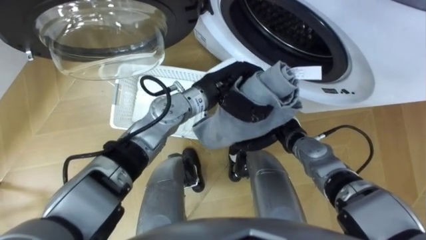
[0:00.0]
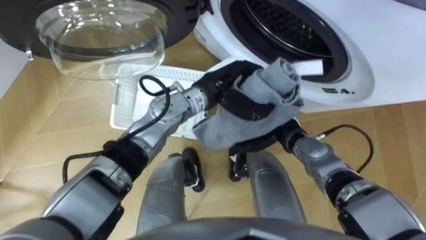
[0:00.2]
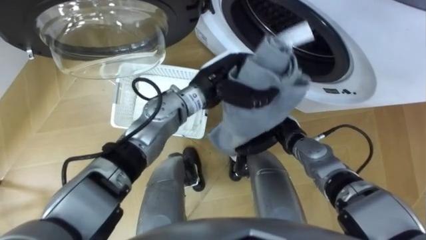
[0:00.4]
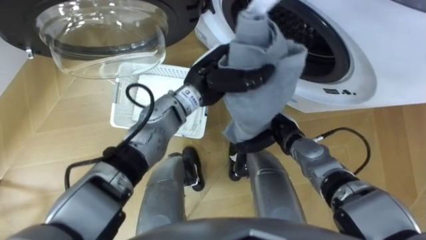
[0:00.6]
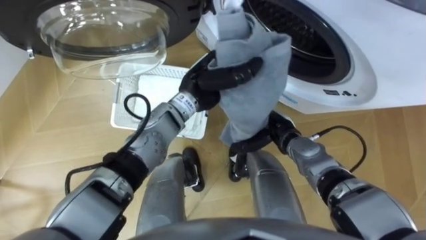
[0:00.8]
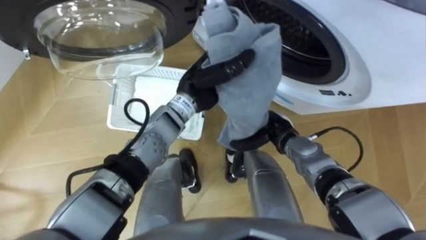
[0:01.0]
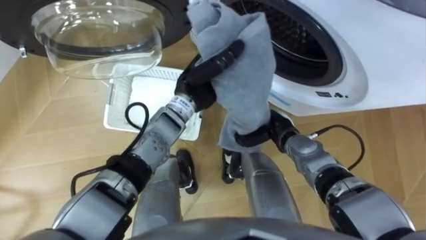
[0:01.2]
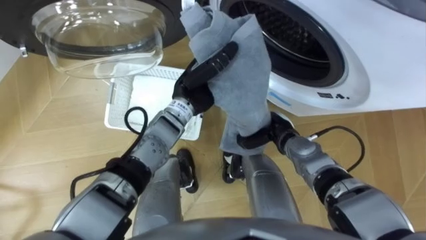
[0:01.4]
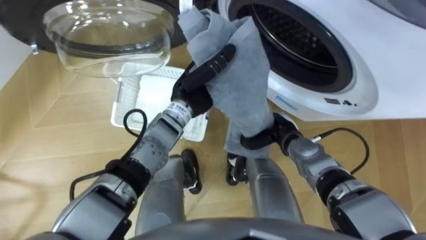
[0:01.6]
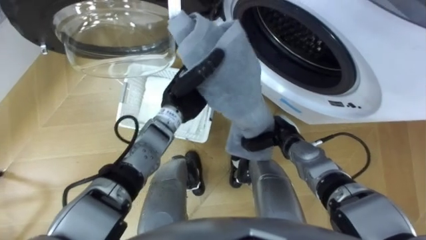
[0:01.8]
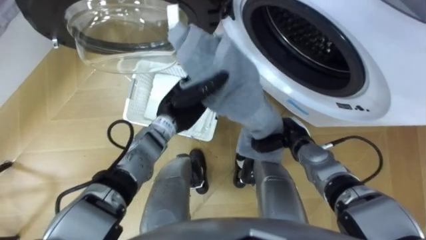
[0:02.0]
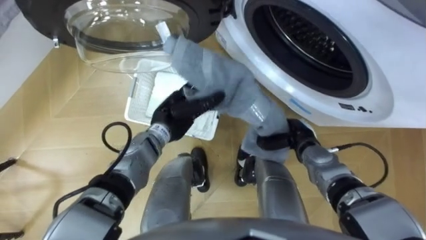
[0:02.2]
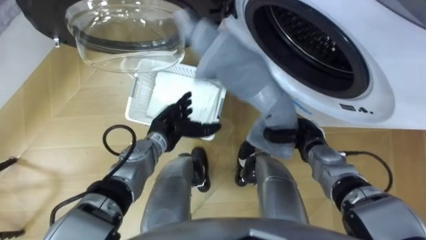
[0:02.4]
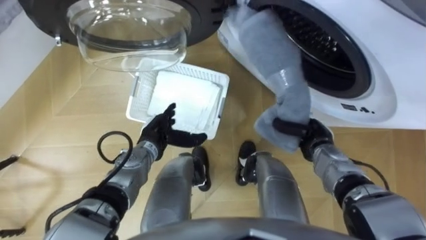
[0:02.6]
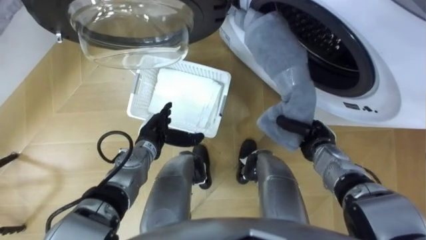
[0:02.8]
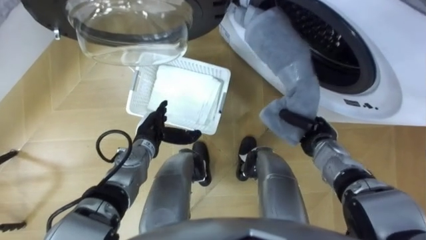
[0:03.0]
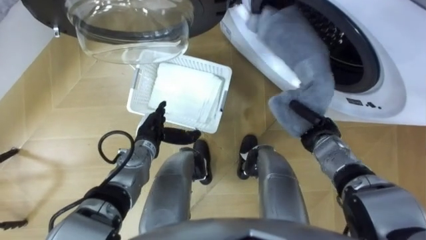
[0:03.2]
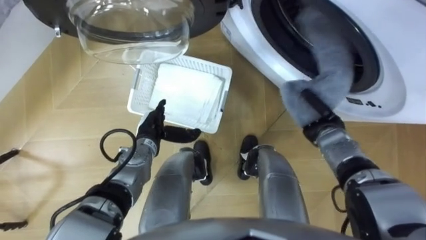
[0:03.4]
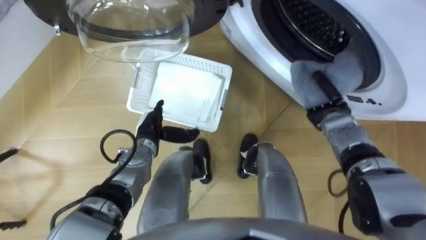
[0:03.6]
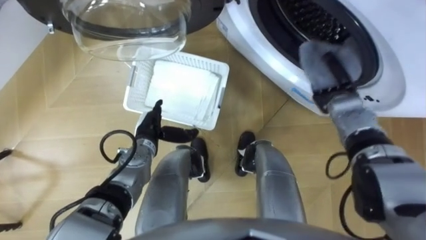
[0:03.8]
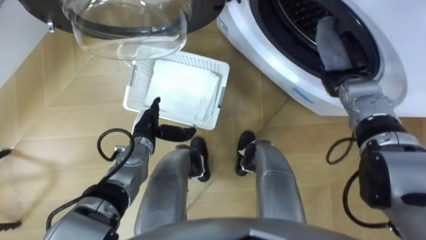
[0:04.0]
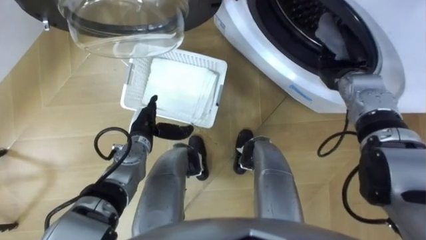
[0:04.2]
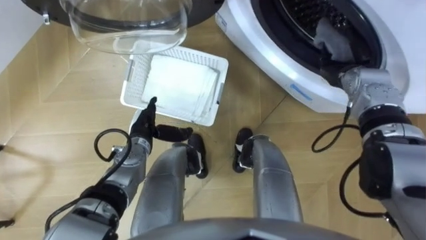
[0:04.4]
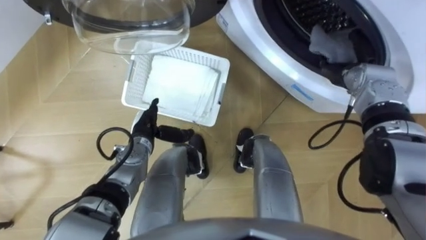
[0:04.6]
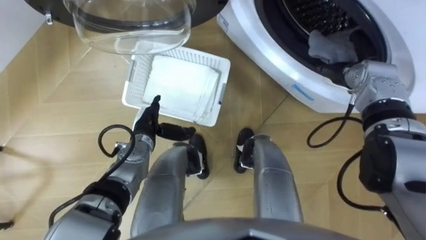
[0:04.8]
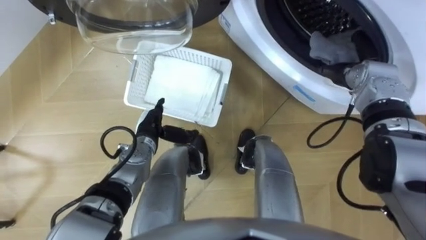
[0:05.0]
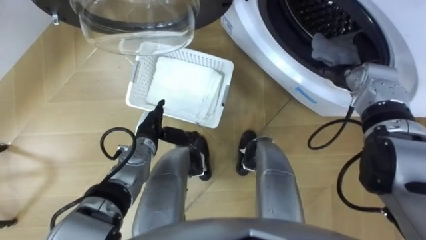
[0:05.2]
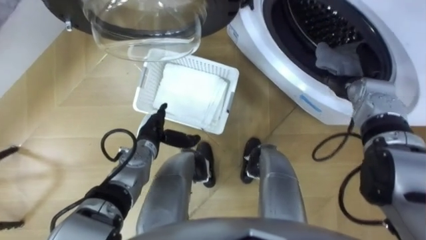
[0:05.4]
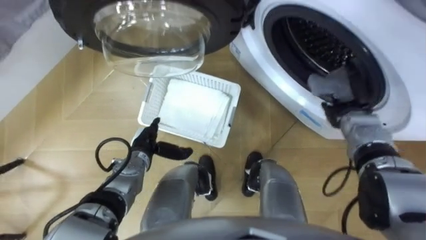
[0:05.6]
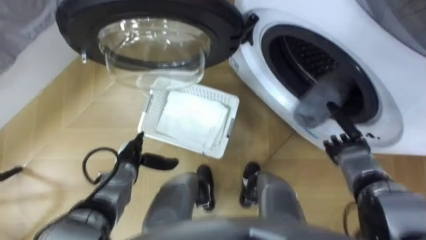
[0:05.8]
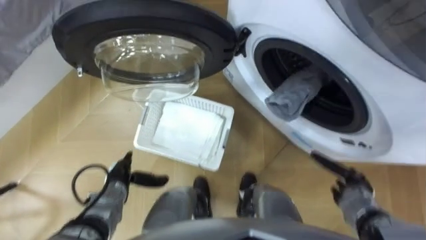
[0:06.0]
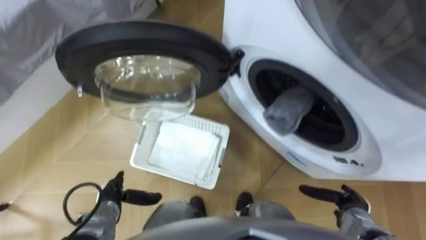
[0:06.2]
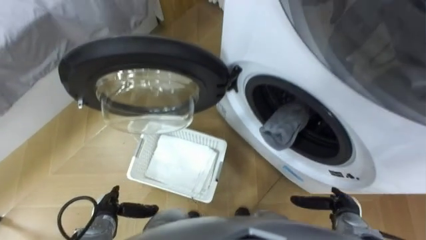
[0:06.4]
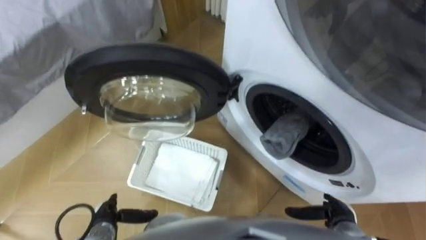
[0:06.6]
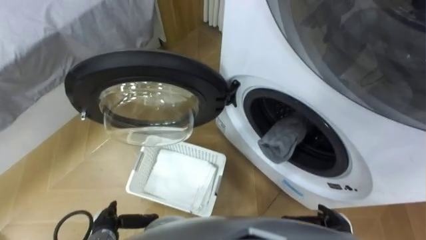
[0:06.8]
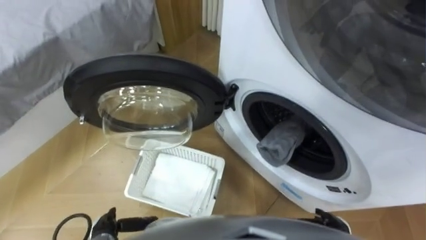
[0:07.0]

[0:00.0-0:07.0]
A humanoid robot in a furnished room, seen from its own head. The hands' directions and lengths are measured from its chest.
Task of the whole recording: Take the towel from the basket and put it into the washing machine.
0:00.0 to 0:01.4: The right hand closes up.
0:01.4 to 0:02.8: The left hand goes approximately 15 cm downward, to the left and backward, and opens its fingers. The right hand moves to the right, some 10 cm.
0:02.8 to 0:04.2: The right hand moves forward and upward, some 15 cm.
0:04.2 to 0:05.6: The right hand heads backward and downward, covering some 10 cm.
0:05.6 to 0:07.0: The left hand moves backward and to the left, roughly 20 cm, while the right hand shifts roughly 30 cm backward and downward.

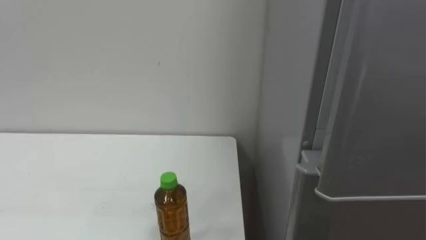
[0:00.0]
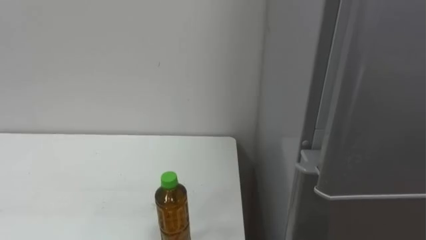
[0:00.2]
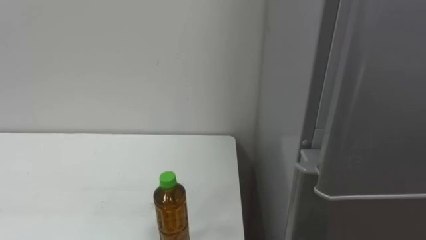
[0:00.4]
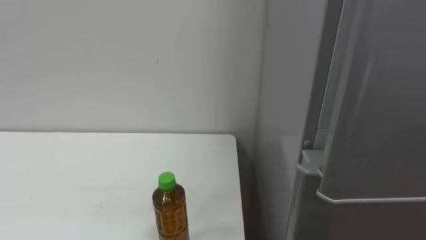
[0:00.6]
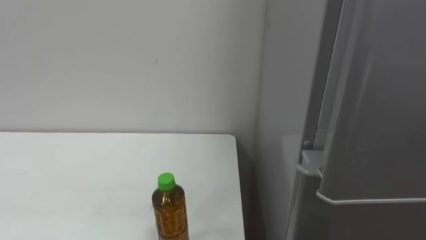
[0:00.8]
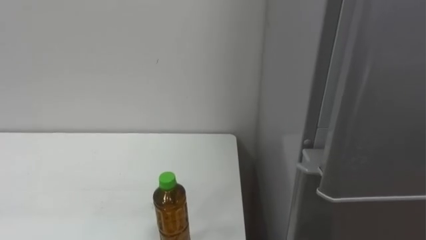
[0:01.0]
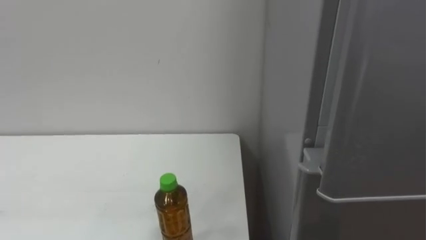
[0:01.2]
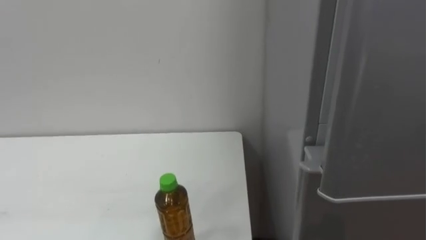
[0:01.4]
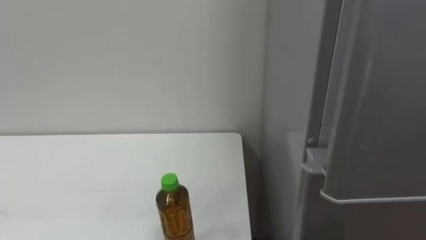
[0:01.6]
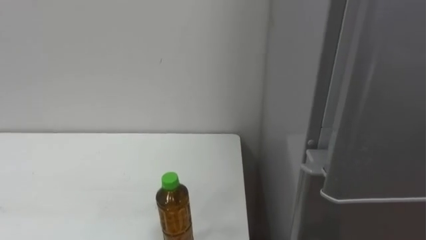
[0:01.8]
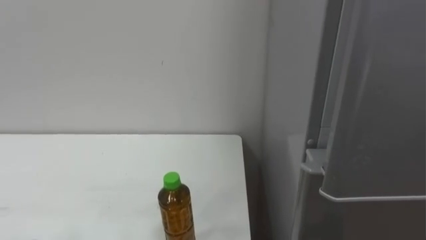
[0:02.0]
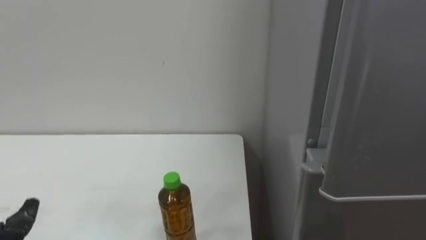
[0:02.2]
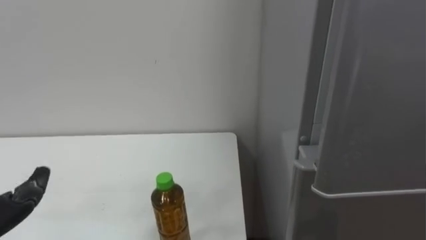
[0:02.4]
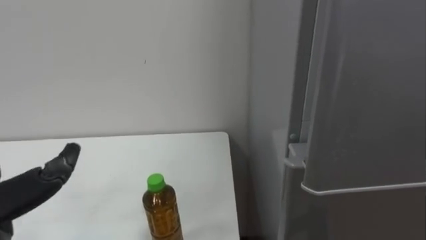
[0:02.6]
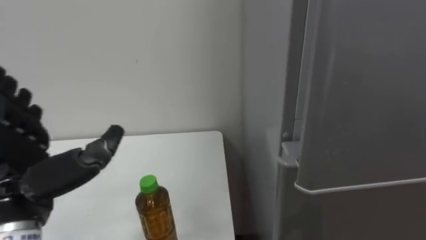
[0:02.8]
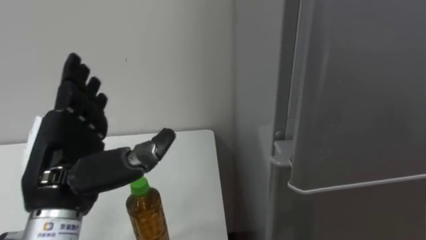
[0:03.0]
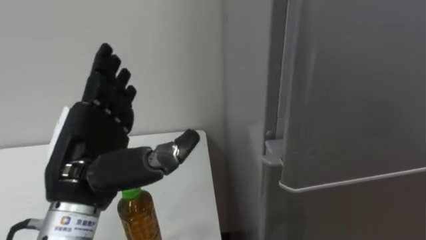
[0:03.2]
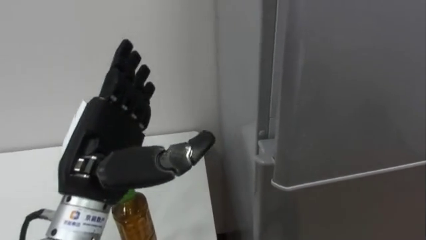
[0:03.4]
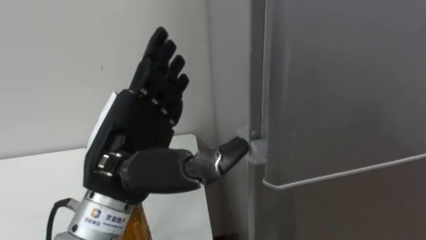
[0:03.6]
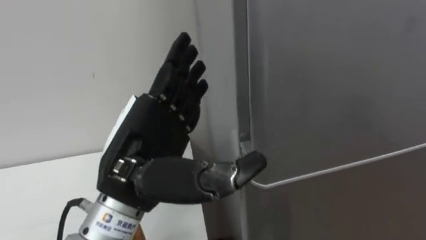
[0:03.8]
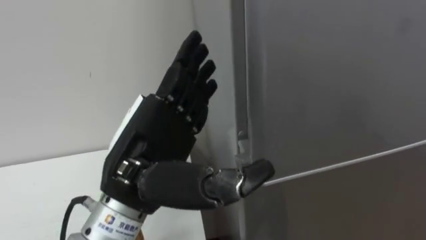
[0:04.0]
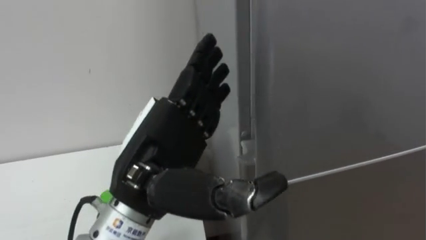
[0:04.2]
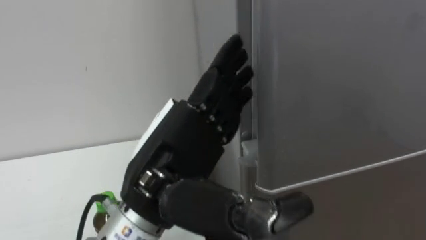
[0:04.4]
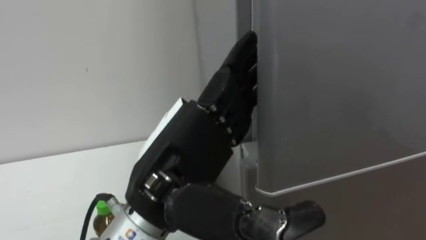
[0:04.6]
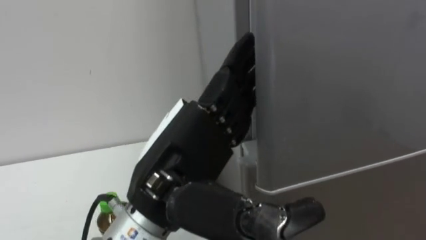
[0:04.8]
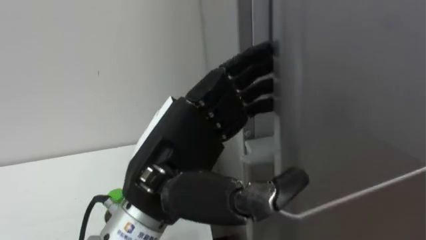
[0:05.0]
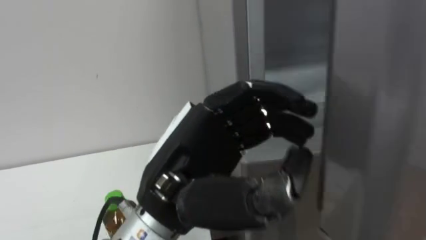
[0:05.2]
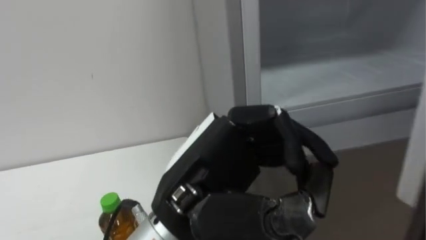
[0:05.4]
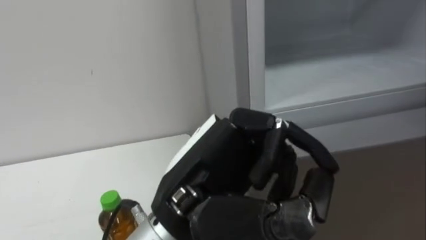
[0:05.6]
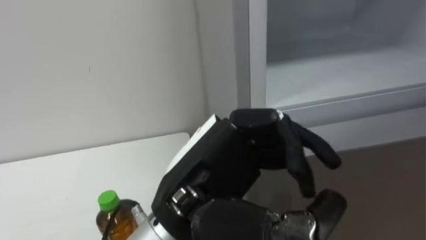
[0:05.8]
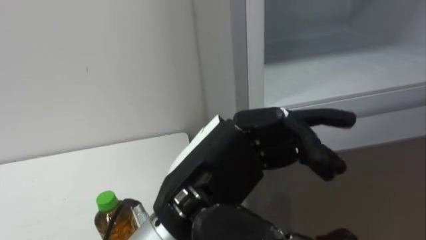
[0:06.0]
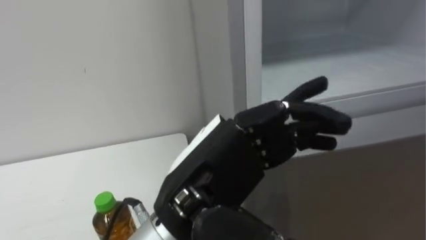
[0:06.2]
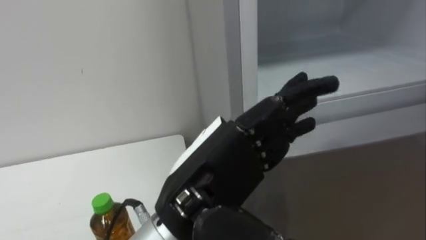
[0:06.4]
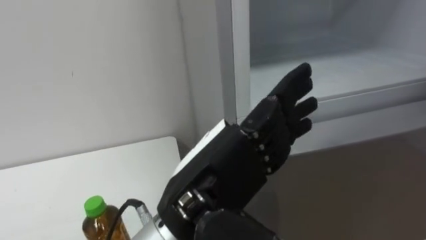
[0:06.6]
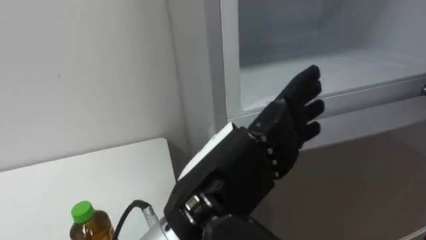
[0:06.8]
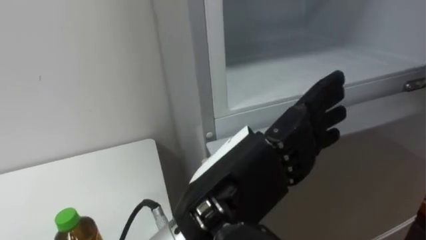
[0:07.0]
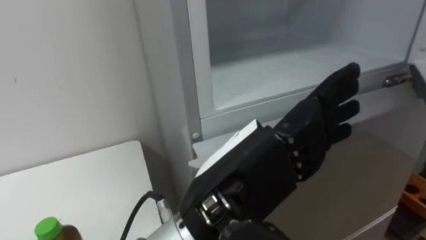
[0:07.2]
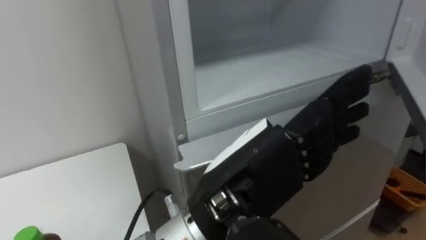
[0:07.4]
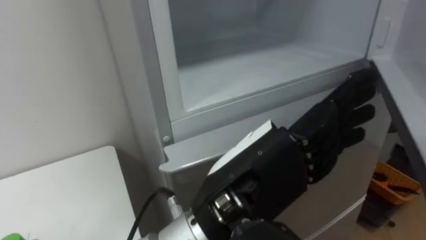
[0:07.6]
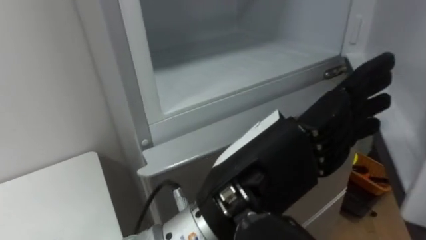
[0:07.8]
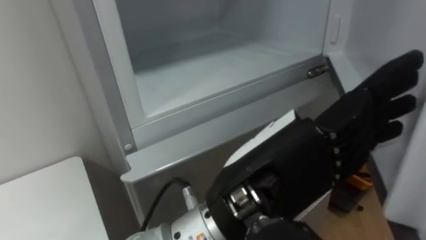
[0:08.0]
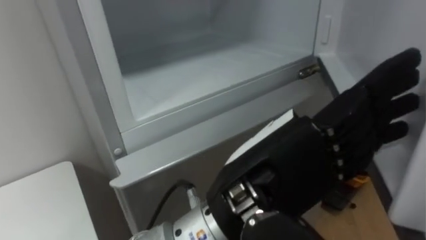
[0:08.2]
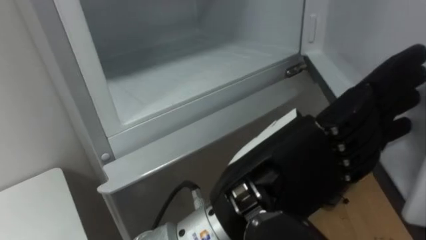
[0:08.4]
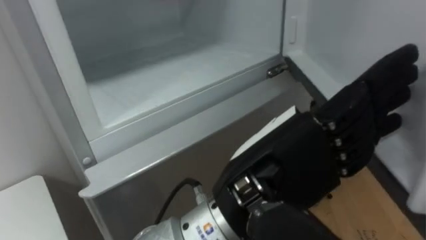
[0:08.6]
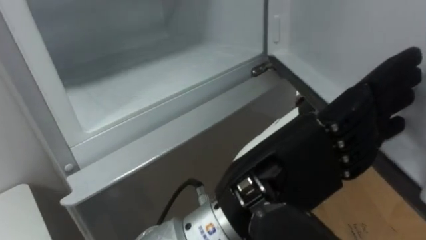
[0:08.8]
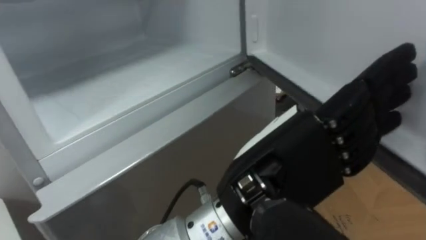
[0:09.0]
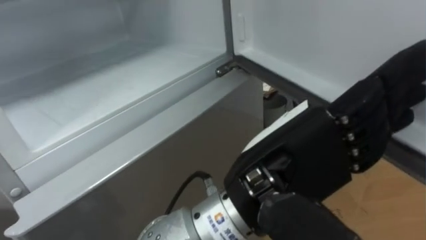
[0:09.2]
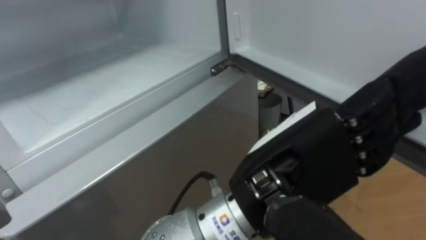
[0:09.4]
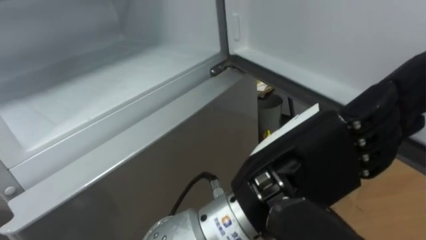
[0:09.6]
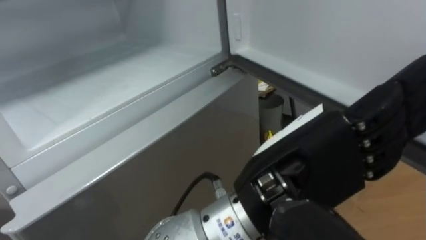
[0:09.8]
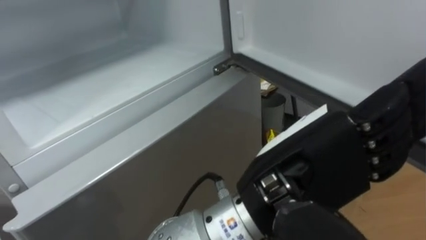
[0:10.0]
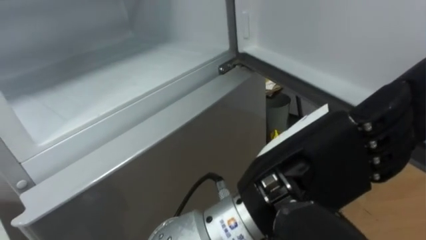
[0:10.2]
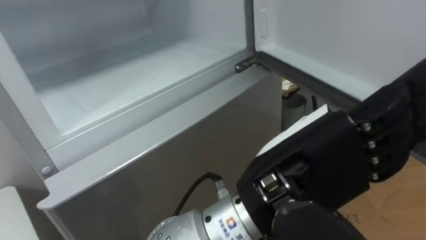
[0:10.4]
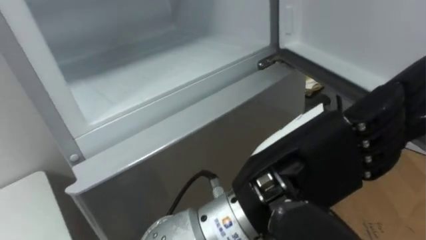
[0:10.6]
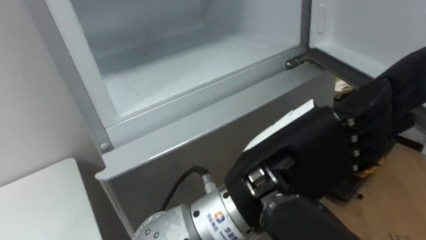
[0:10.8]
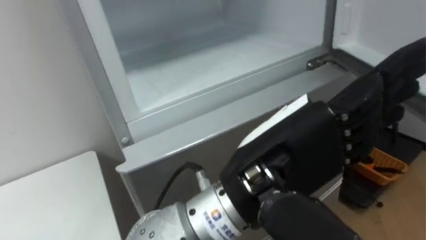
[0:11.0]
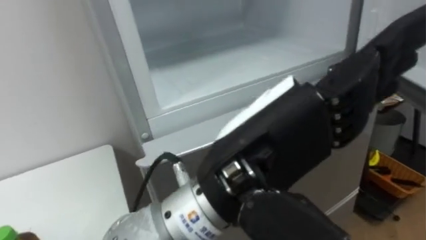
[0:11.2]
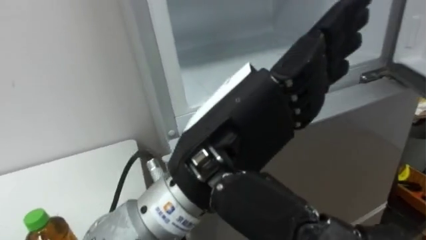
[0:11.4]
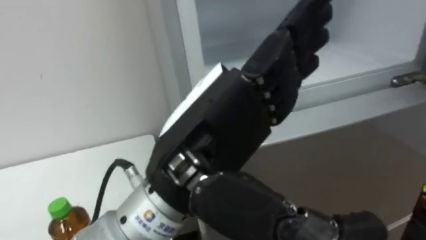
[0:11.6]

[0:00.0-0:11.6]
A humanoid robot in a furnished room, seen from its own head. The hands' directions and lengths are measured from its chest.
Task of the whole recording: Open the upper refrigerator door, put the drink from the table into the refrigerator, and then close the refrigerator door.
0:02.8 to 0:04.4: The left hand moves to the right, some 20 cm.
0:04.4 to 0:05.8: The left hand closes its fingers.
0:05.8 to 0:07.2: The left hand opens its fingers.
0:07.2 to 0:08.8: The robot's body swings approximately 15 degrees to its right.
0:10.2 to 0:11.6: The left hand is displaced to the left by some 10 cm.
